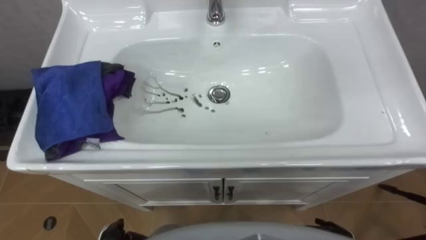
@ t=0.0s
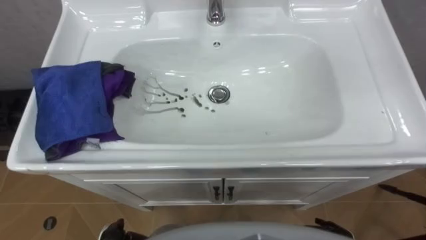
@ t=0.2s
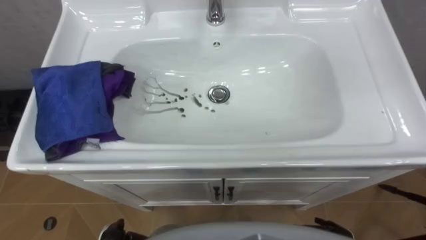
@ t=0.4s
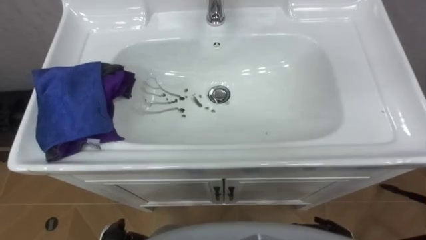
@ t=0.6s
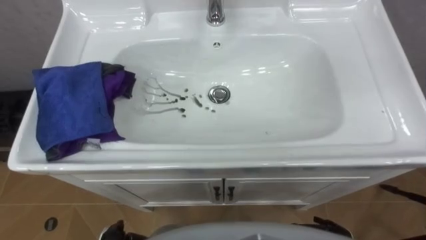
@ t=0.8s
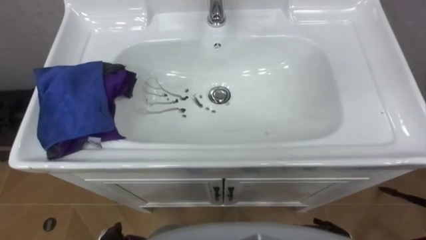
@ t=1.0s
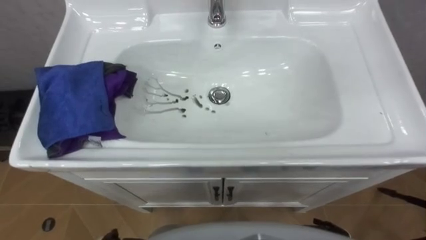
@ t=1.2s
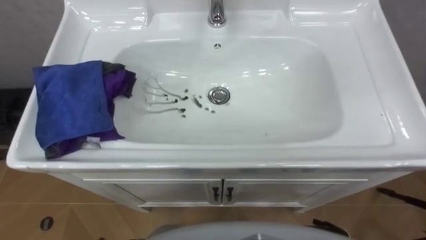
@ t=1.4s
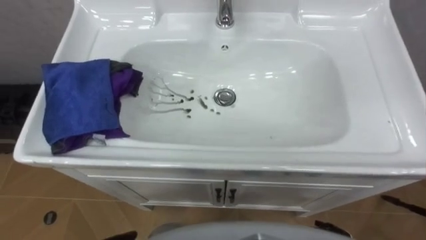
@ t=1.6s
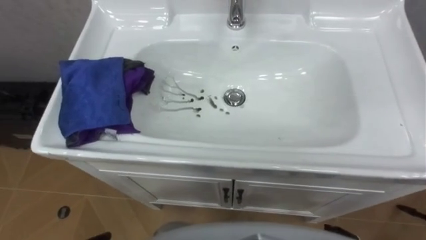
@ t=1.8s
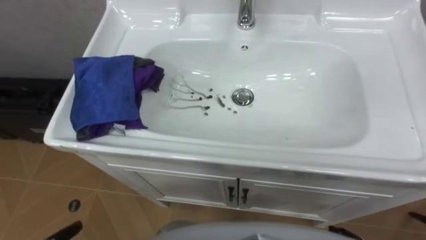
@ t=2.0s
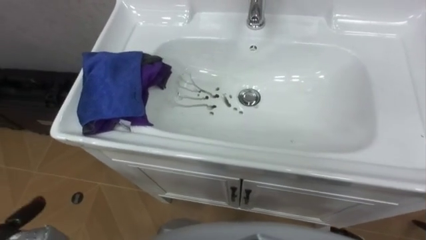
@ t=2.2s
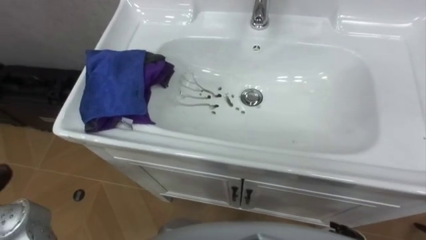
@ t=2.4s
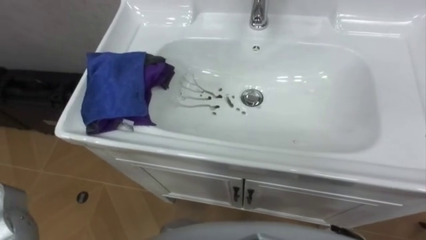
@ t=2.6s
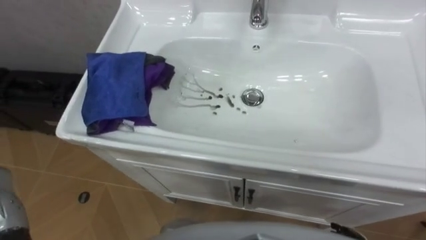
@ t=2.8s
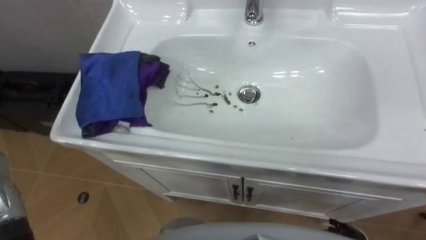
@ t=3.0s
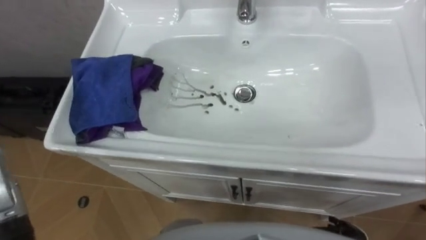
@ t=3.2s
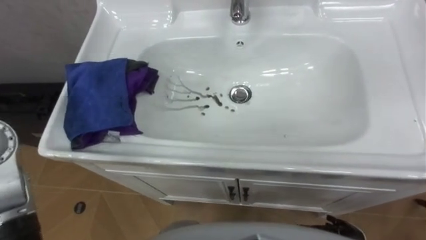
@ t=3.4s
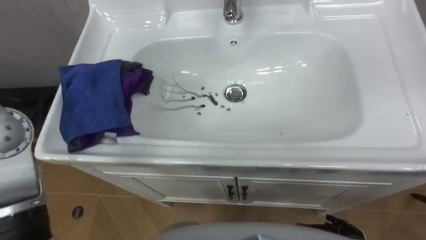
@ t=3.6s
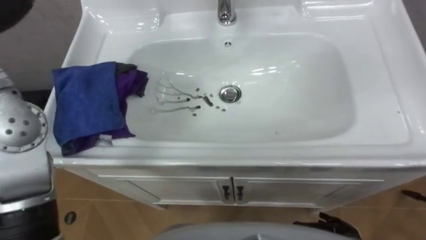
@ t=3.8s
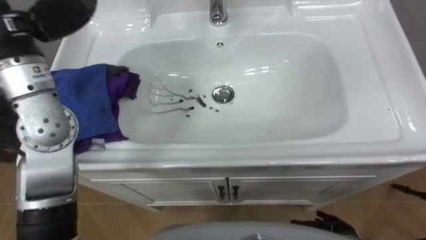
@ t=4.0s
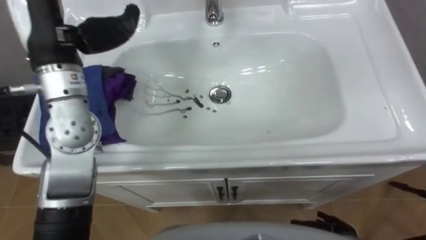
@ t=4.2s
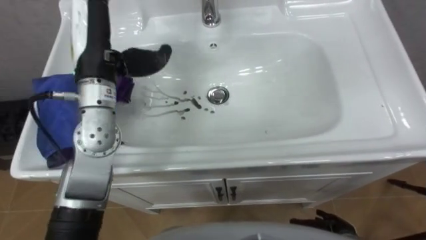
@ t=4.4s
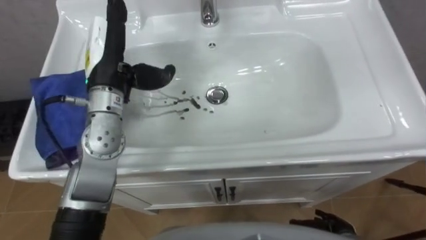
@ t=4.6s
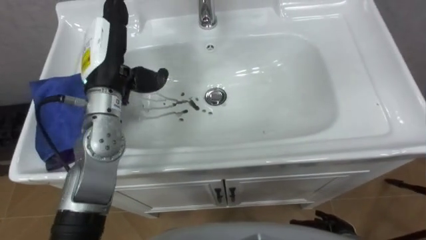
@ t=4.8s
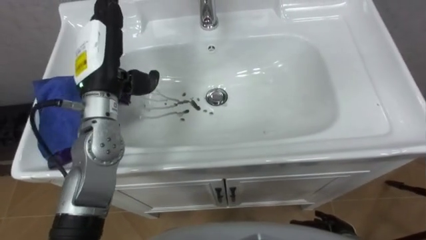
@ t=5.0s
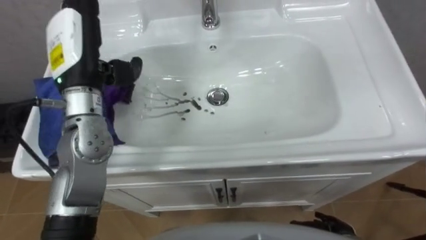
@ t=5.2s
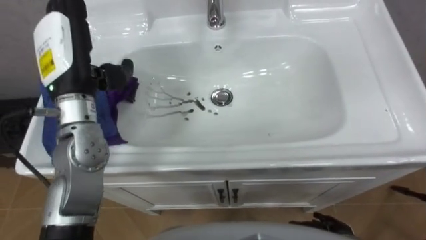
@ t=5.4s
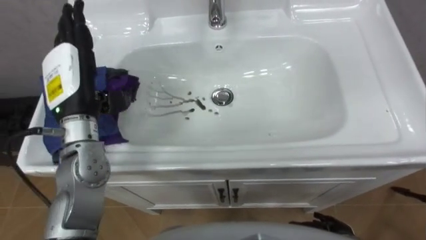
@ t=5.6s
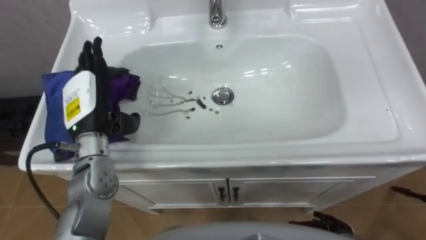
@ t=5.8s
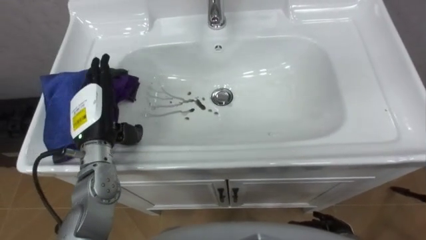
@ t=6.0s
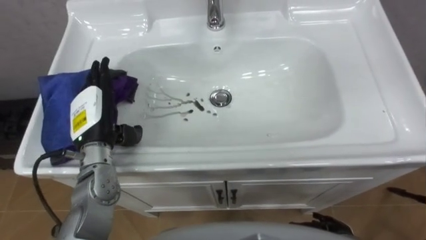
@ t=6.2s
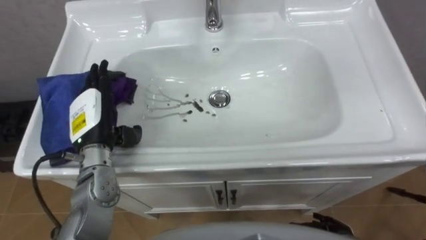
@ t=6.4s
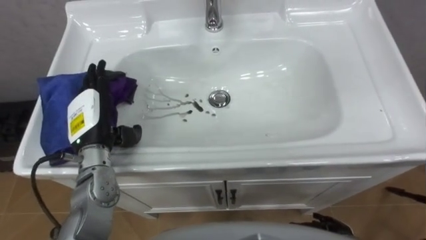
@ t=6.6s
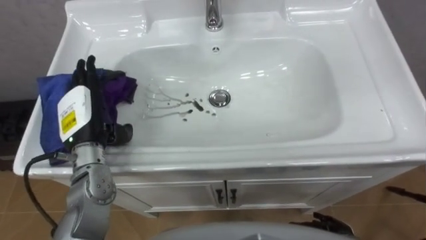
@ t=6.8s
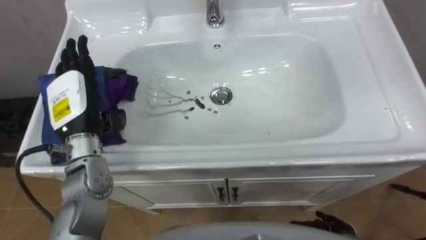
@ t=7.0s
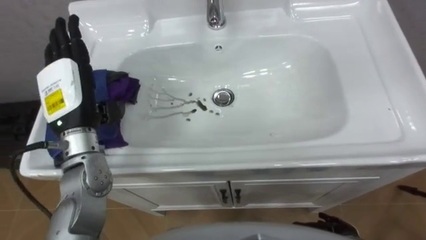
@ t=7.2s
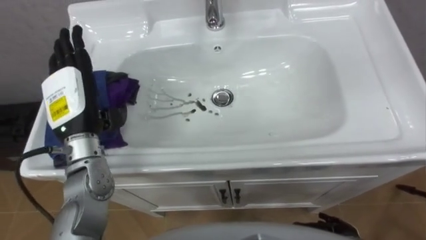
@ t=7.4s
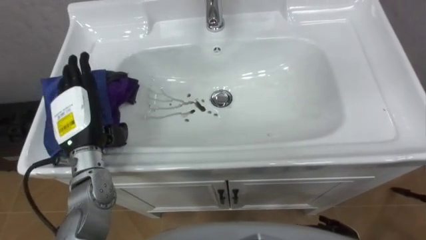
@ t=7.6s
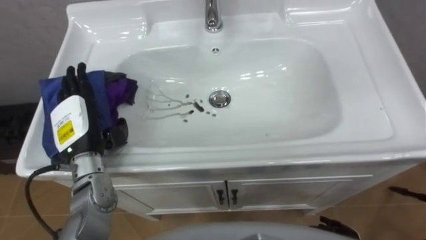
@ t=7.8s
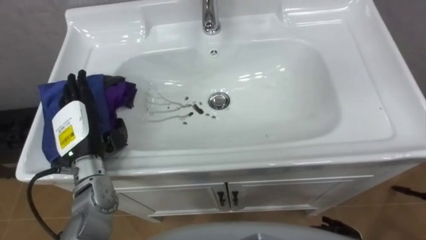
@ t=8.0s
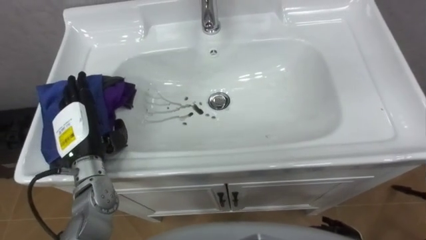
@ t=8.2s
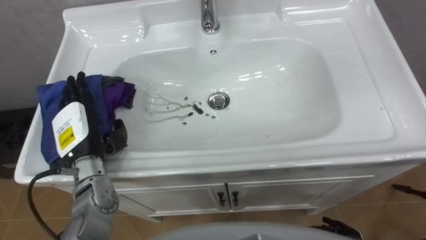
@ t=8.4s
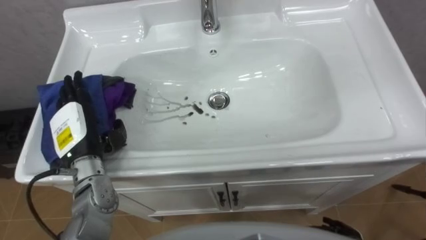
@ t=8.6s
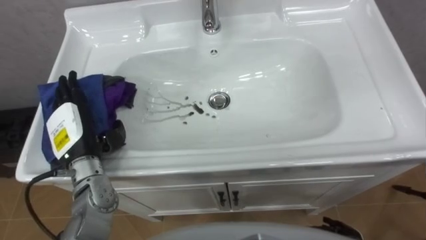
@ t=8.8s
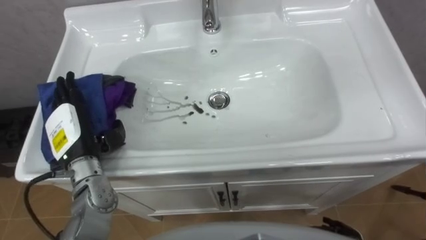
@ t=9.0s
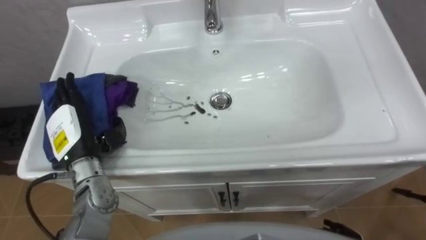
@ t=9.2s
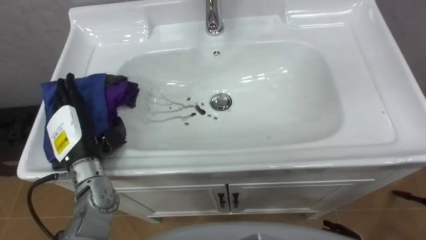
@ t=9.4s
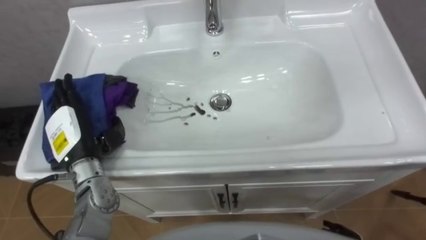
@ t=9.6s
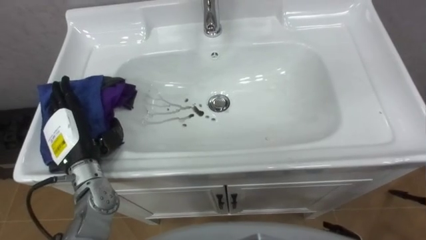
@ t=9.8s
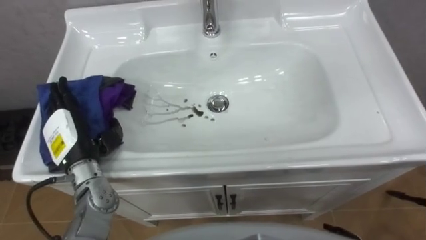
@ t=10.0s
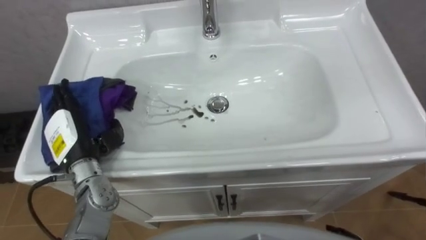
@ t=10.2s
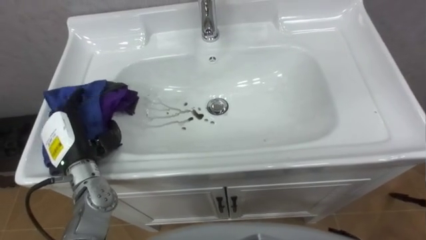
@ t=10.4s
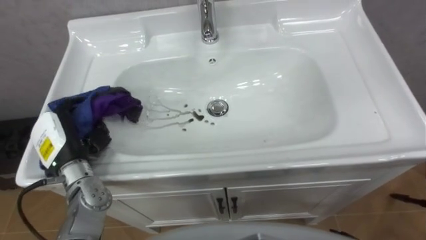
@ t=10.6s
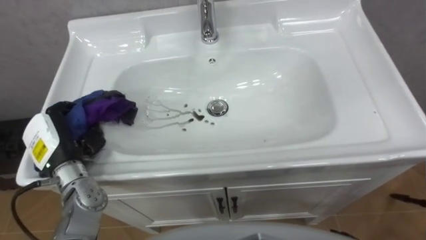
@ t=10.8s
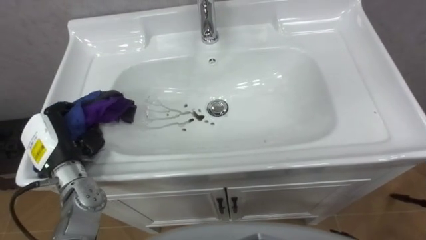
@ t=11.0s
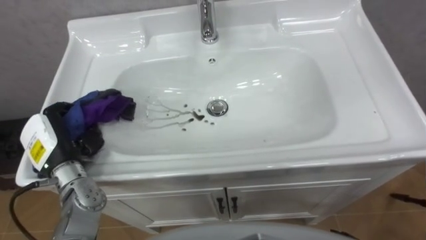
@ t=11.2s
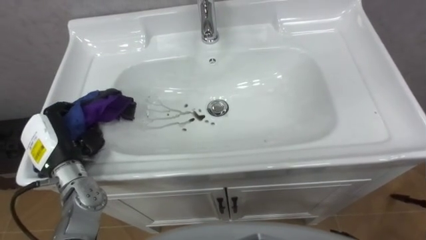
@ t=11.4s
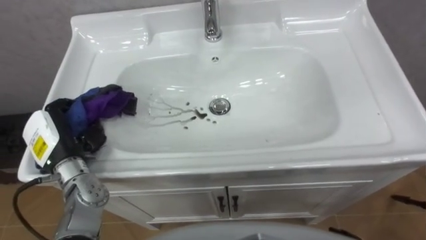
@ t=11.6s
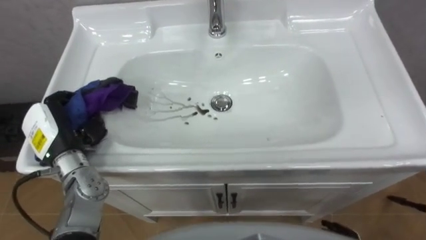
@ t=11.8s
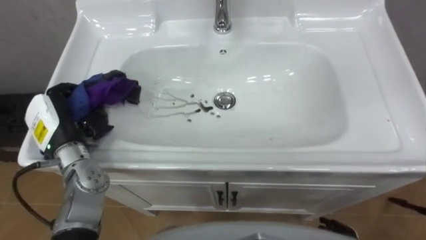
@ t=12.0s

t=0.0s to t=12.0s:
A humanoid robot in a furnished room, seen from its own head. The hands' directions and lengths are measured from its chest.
Task of the whole recording: Use the cloth on the right to wipe away the black stain in the sink.
t=4.4s to t=6.0s: The left hand heads downward and backward, covering some 15 cm.
t=10.4s to t=12.0s: The left hand closes its fingers.

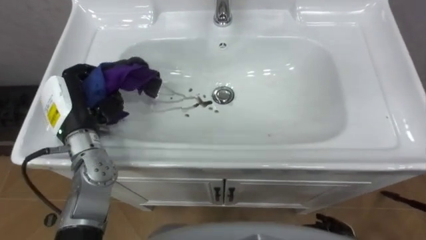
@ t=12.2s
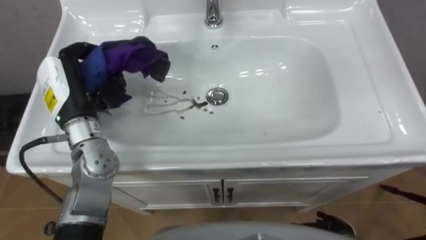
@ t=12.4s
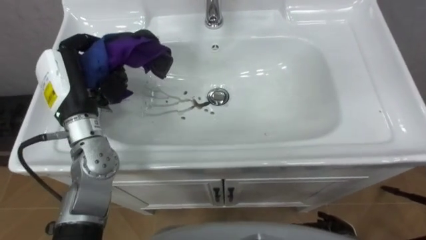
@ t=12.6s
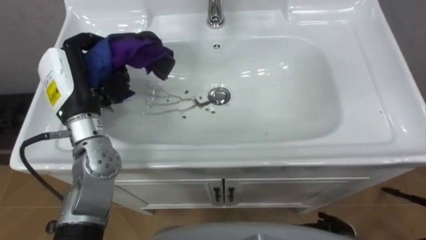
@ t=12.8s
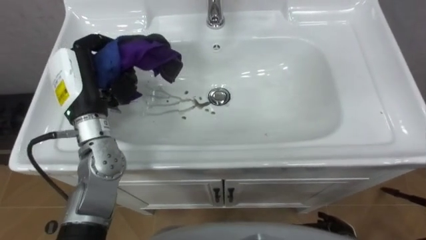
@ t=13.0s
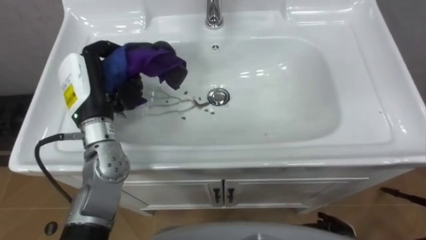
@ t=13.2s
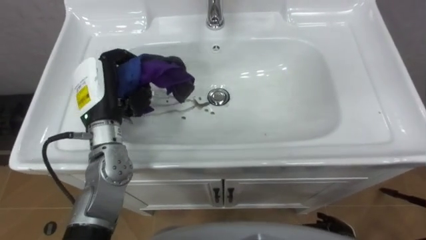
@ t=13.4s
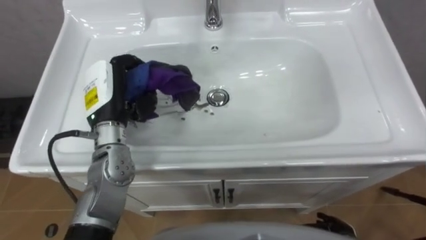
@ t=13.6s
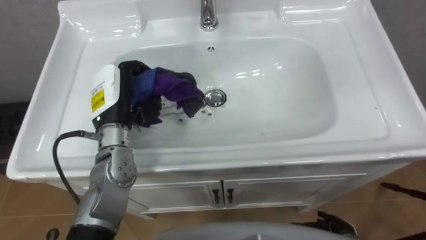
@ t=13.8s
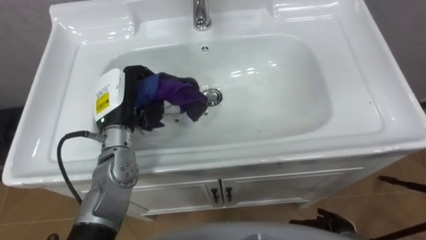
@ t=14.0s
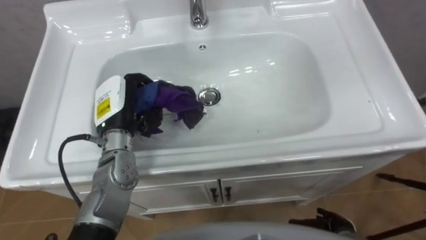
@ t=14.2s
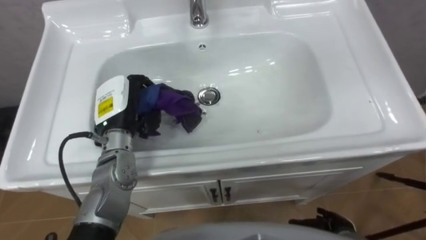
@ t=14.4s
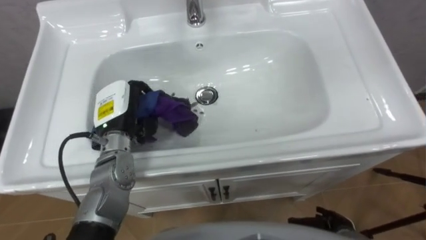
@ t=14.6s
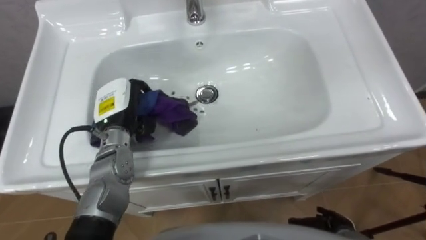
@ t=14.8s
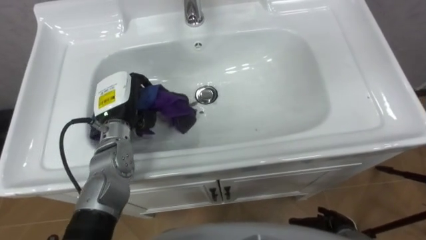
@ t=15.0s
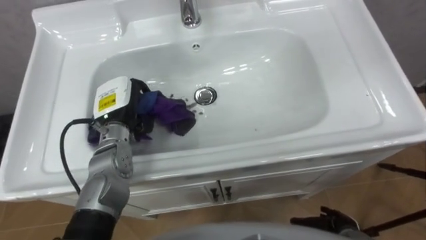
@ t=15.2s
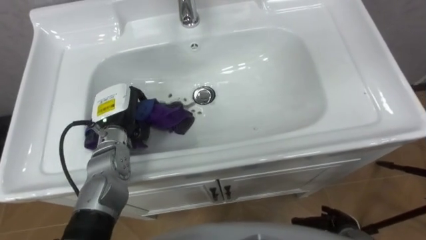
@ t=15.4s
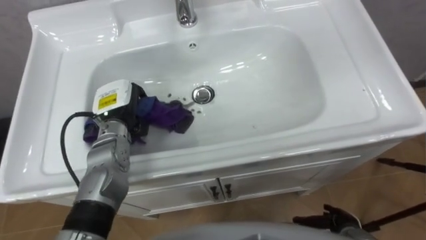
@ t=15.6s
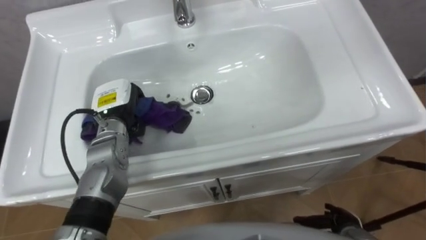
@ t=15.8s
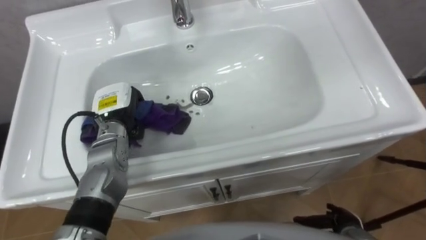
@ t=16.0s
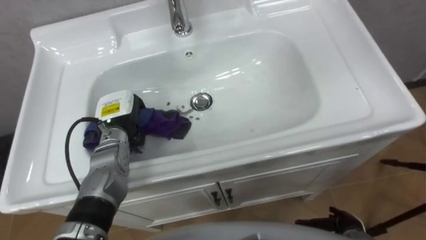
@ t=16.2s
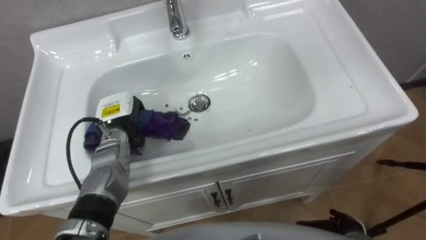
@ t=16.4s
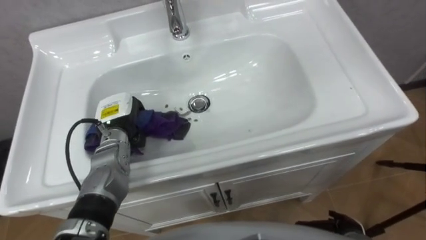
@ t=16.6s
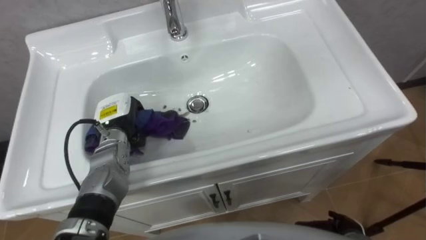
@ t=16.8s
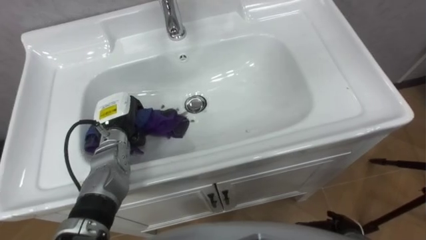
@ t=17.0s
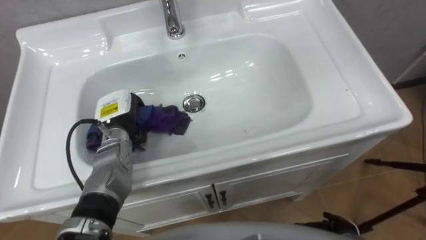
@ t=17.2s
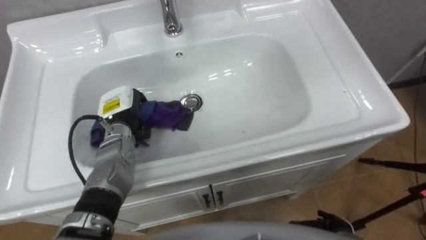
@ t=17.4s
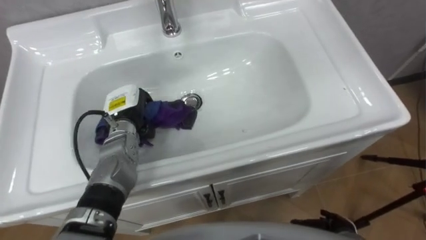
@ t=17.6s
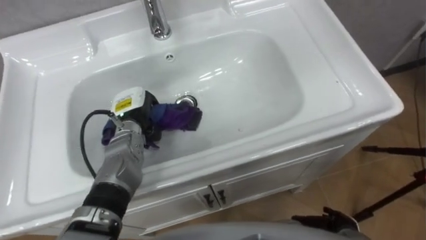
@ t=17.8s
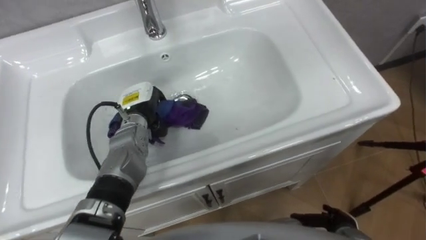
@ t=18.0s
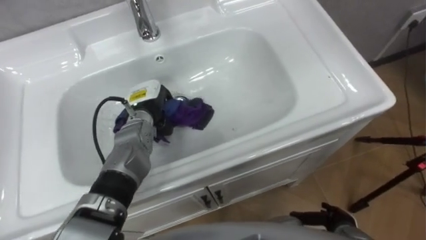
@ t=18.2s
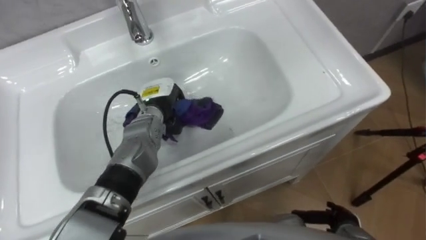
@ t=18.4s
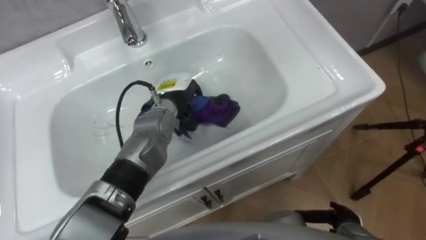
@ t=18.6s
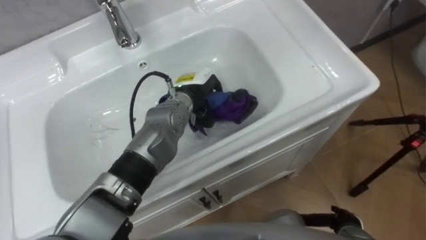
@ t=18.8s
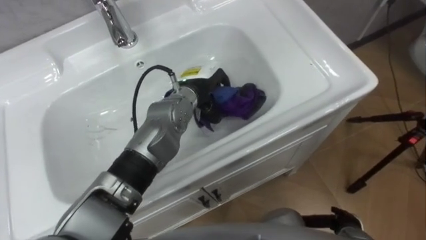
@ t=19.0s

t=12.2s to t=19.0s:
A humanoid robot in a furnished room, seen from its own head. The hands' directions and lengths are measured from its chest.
Task of the whole recording: Use the cloth on the right to wipe away the black stain in the sink.
t=12.2s to t=13.6s: The left hand heads to the right, covering about 5 cm.
t=15.0s to t=16.2s: The left hand travels downward by roughly 5 cm.
t=17.6s to t=19.0s: The left hand shifts about 15 cm to the right.
